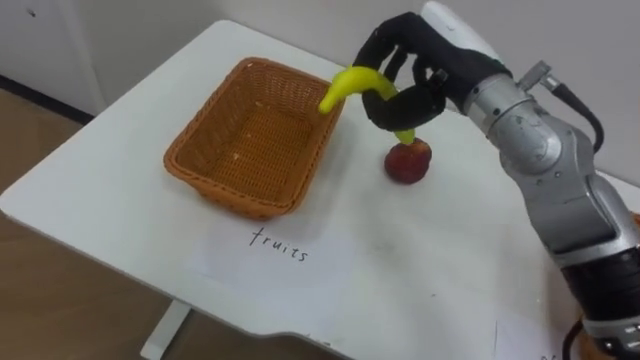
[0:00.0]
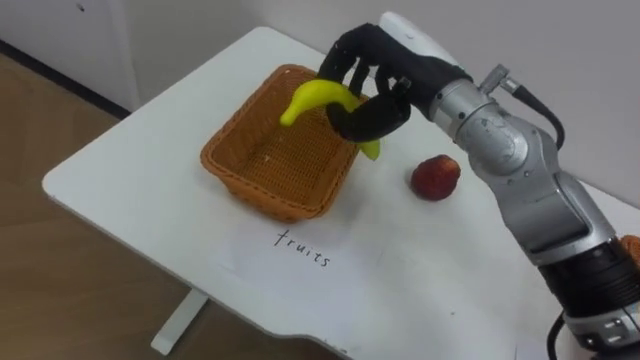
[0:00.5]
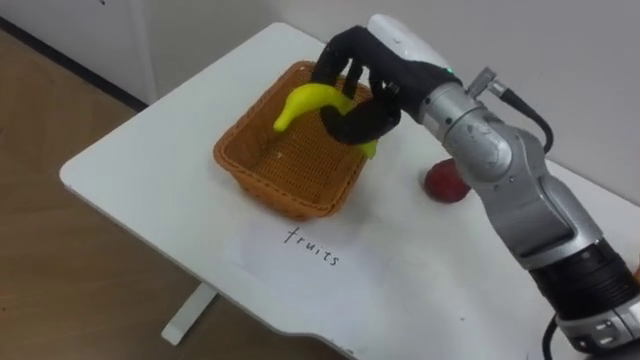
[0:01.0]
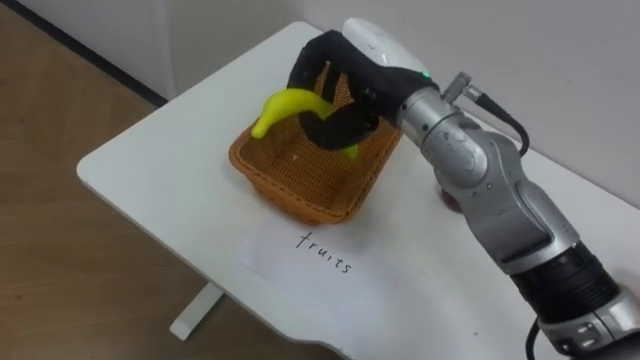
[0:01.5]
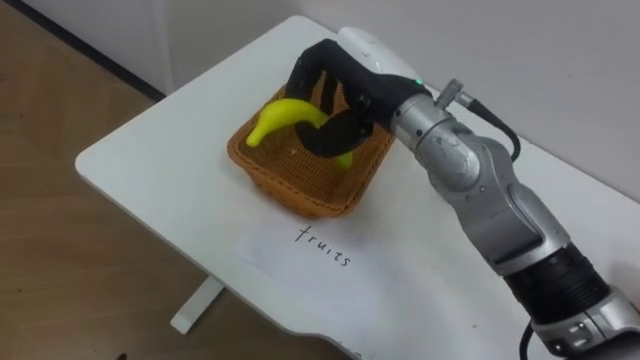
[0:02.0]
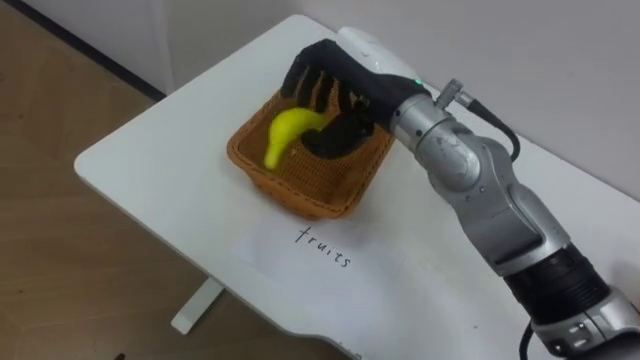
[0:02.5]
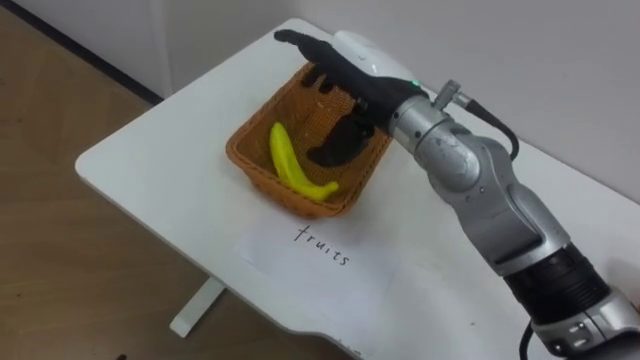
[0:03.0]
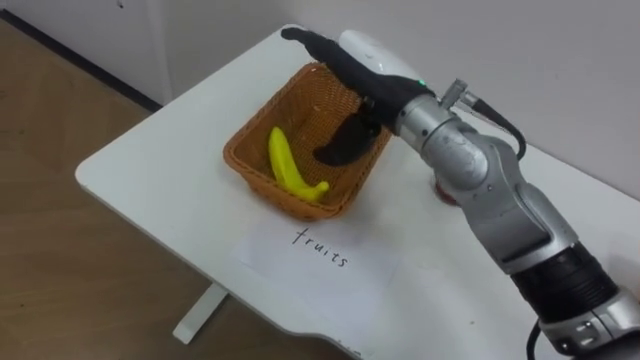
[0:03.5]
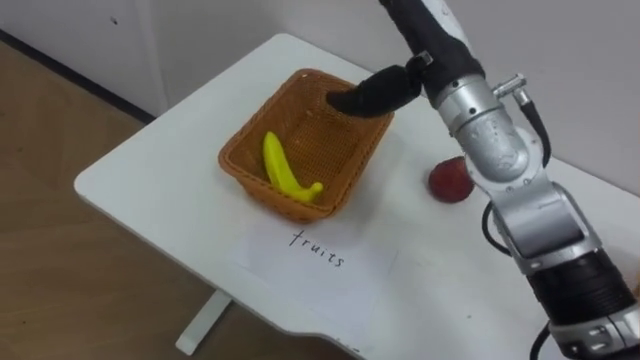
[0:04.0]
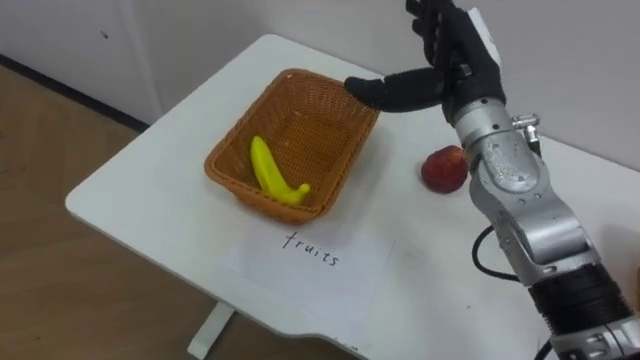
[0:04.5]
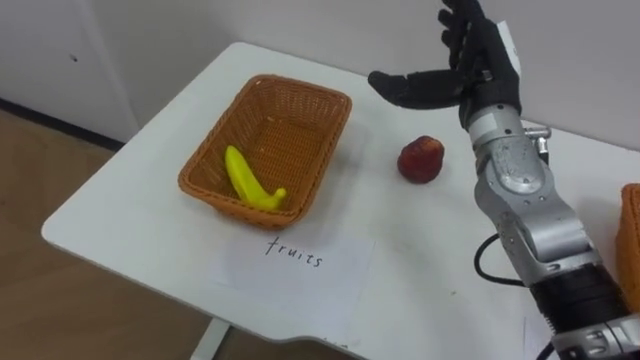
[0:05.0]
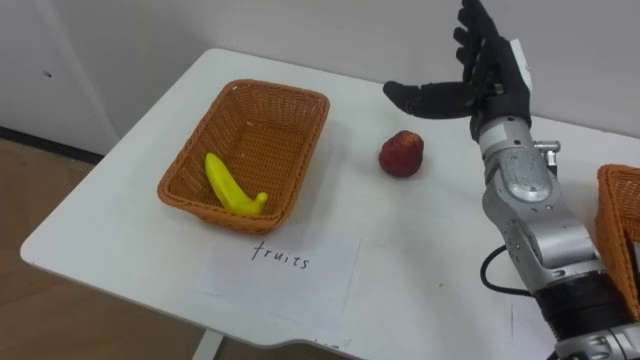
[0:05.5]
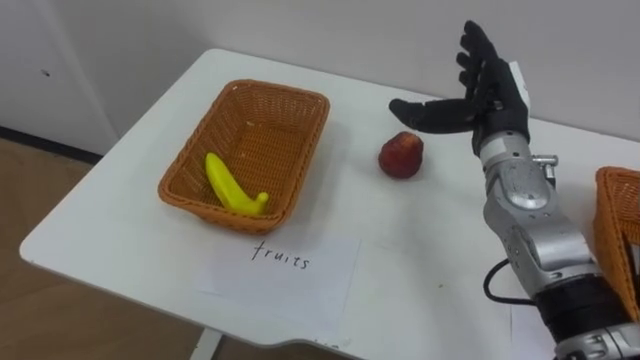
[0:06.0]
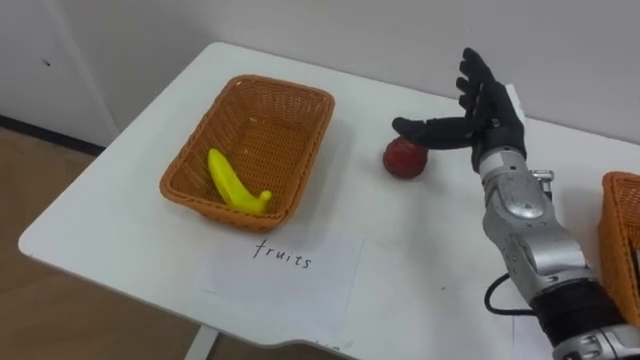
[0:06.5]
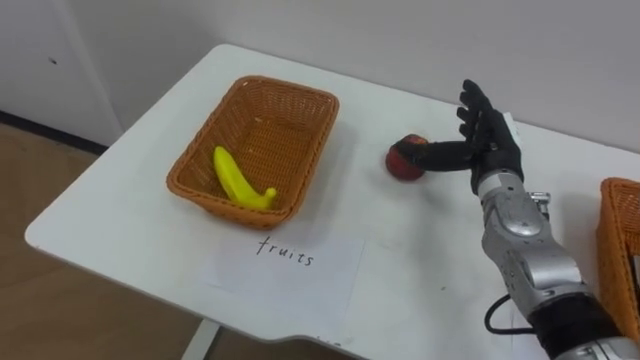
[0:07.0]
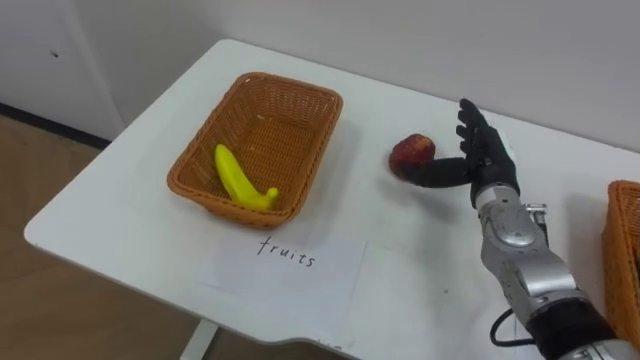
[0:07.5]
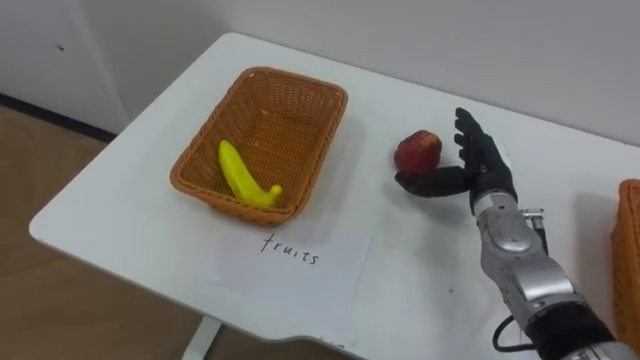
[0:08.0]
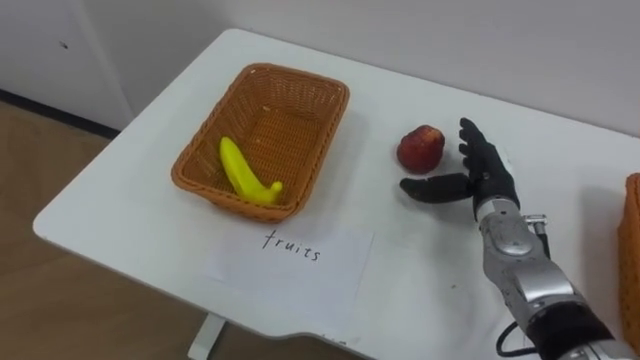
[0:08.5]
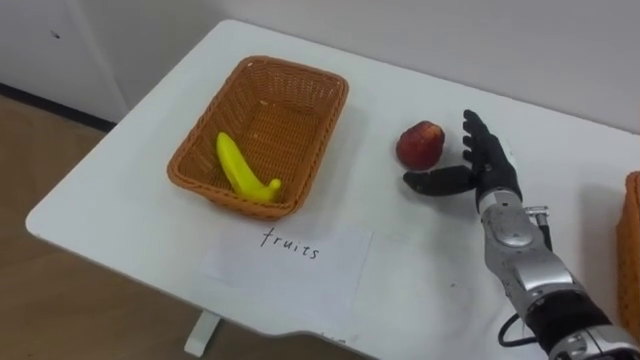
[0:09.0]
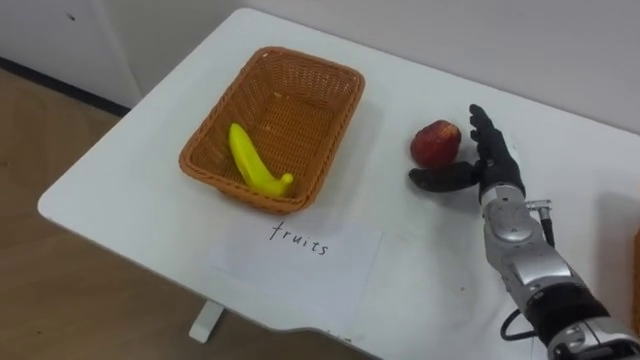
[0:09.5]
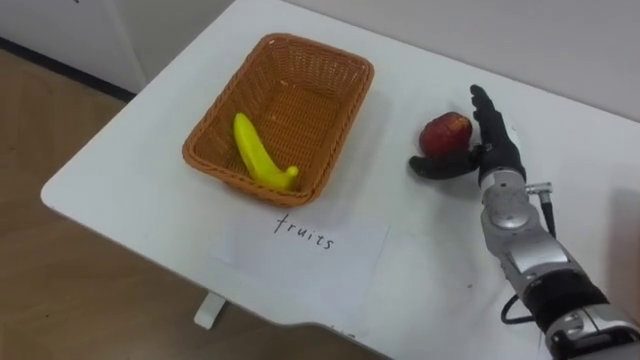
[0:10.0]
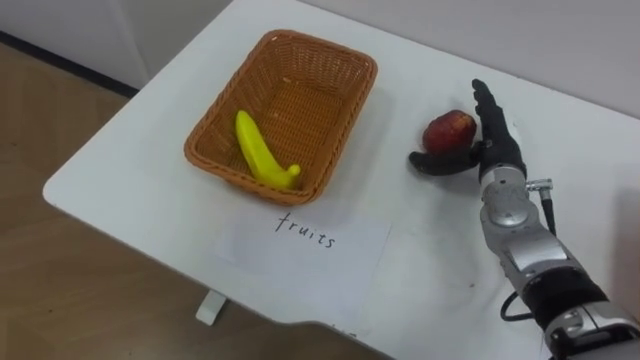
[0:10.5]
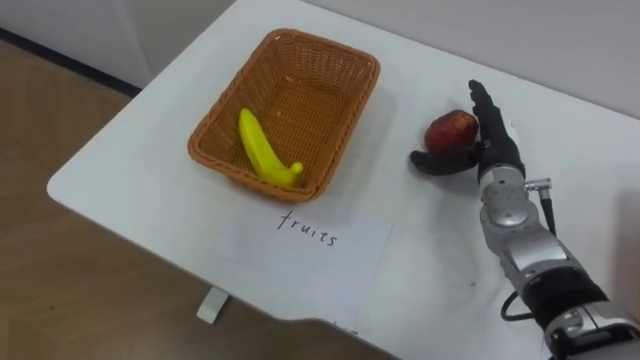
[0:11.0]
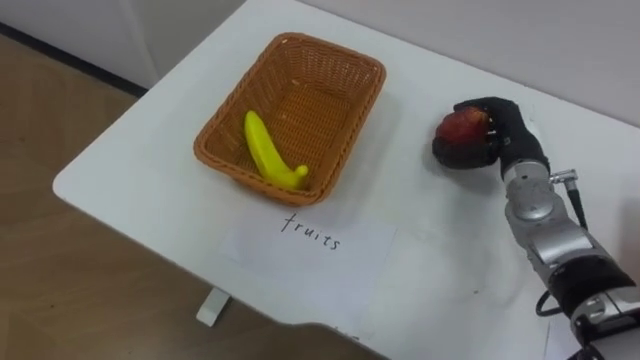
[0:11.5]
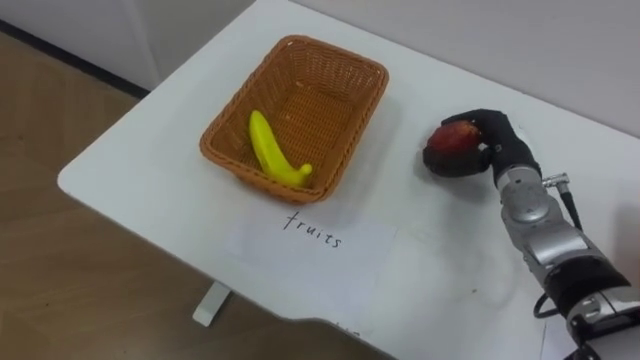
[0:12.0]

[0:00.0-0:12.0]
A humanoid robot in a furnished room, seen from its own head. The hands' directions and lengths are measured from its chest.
Task of the whole recording: Separate the items on the table and place them into the two baskets.
0:00.0 to 0:02.0: The right hand moves to the left, some 10 cm.
0:02.0 to 0:04.0: The right hand heads to the right, covering approximately 5 cm, and opens.
0:04.0 to 0:06.0: The right hand goes approximately 15 cm downward and to the right.
0:06.0 to 0:08.0: The right hand moves downward, roughly 10 cm.
0:10.0 to 0:12.0: The right hand closes up.

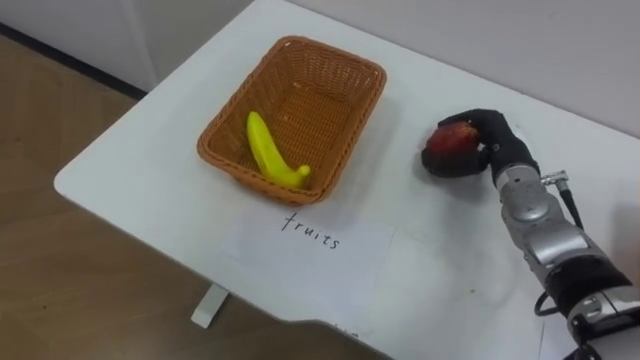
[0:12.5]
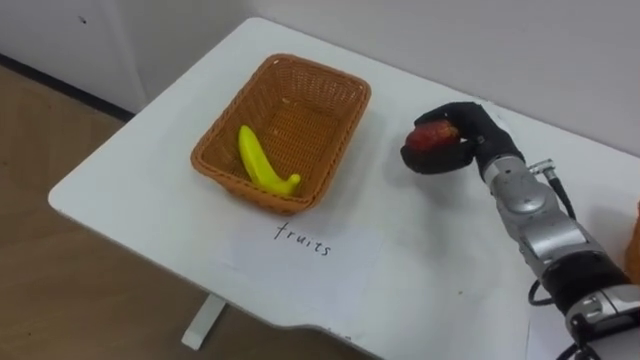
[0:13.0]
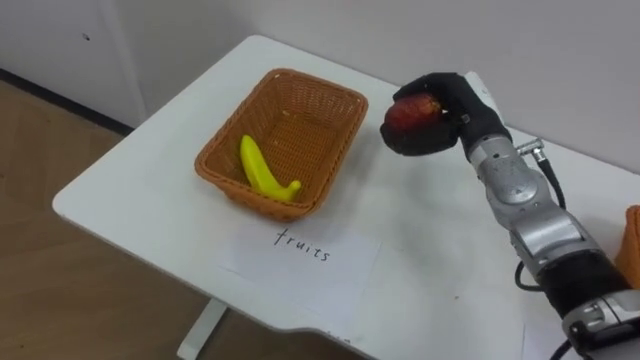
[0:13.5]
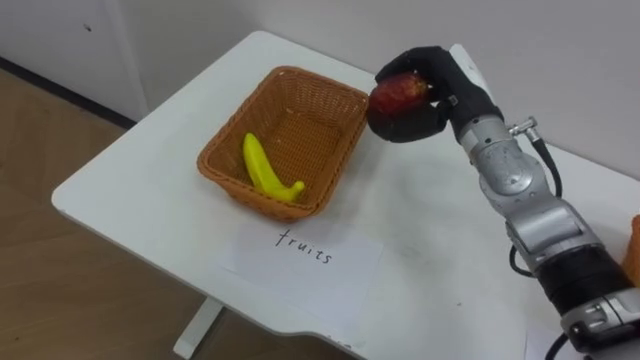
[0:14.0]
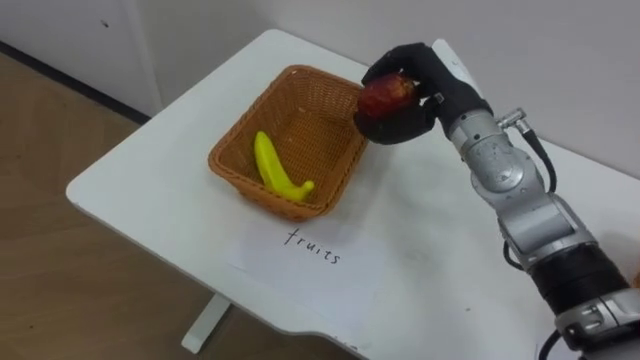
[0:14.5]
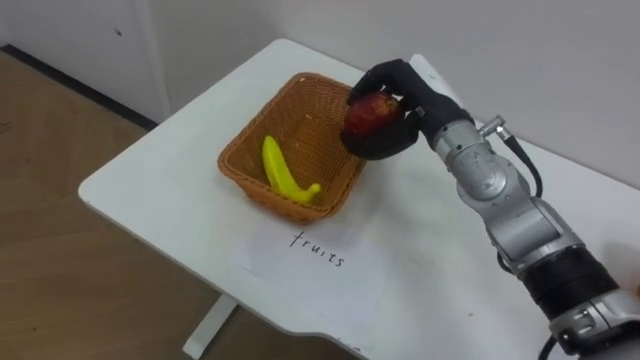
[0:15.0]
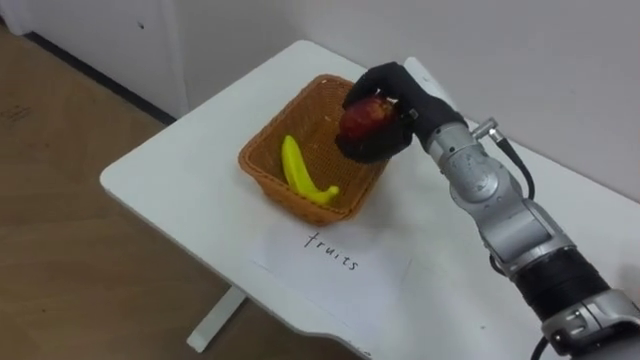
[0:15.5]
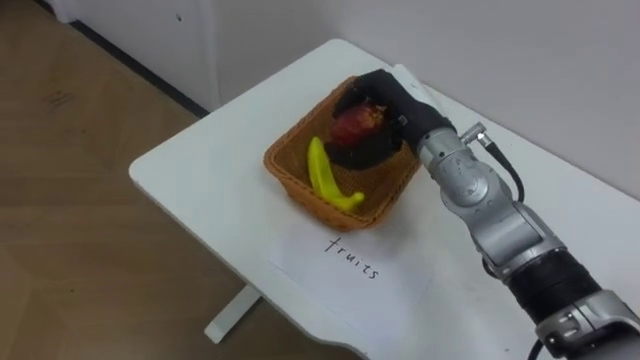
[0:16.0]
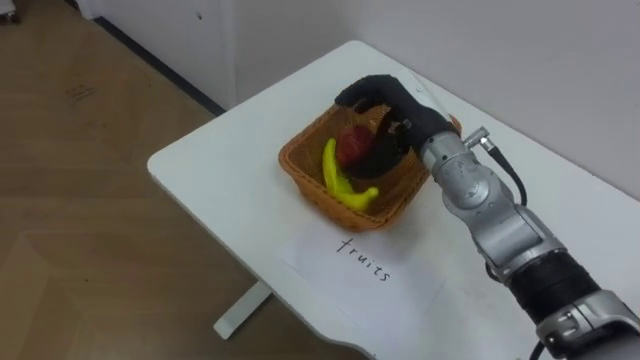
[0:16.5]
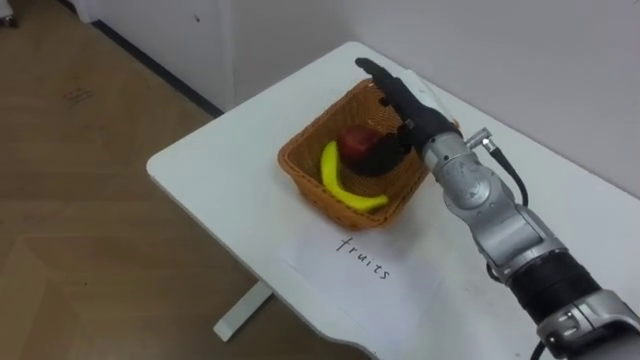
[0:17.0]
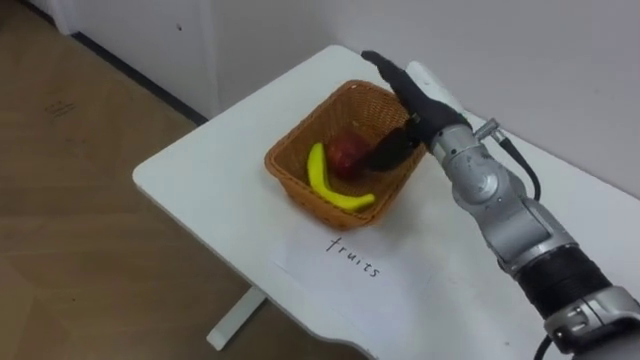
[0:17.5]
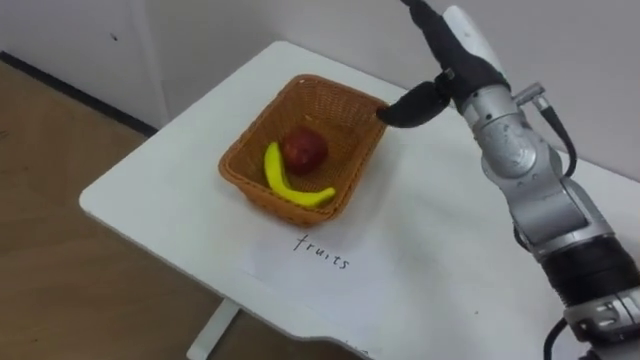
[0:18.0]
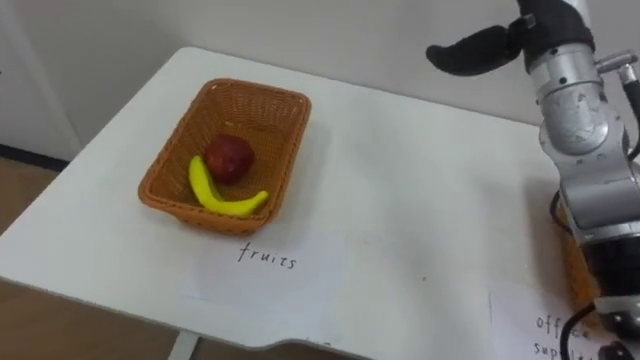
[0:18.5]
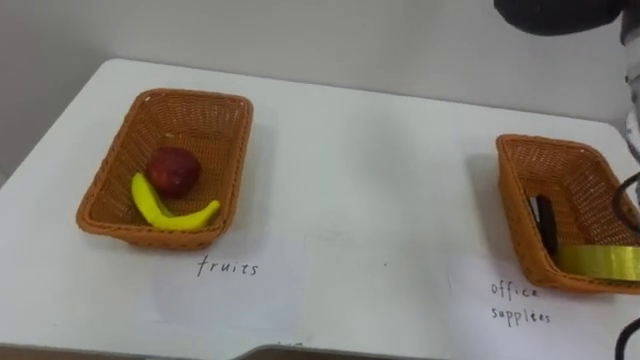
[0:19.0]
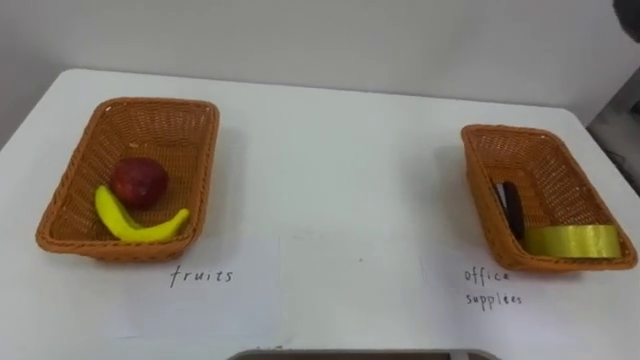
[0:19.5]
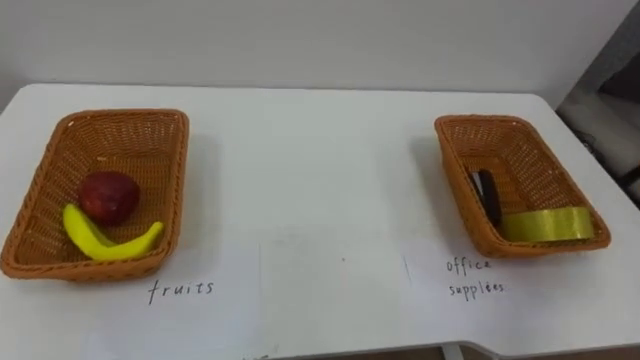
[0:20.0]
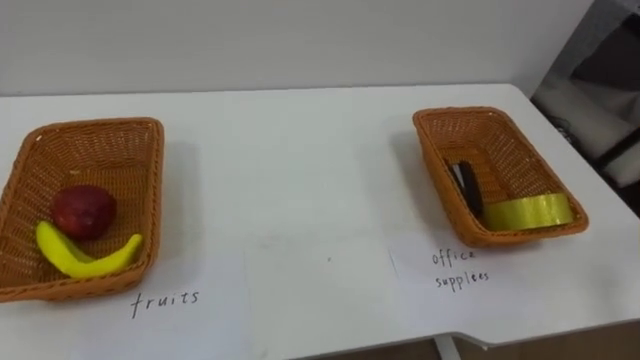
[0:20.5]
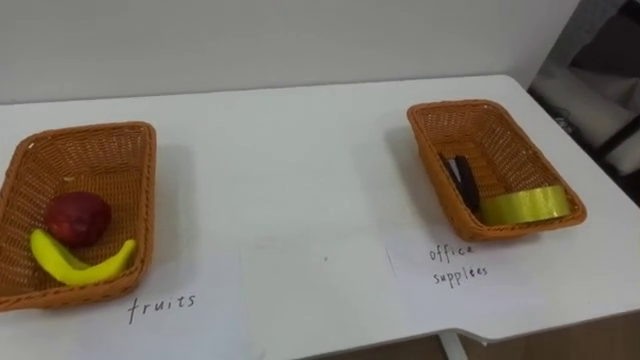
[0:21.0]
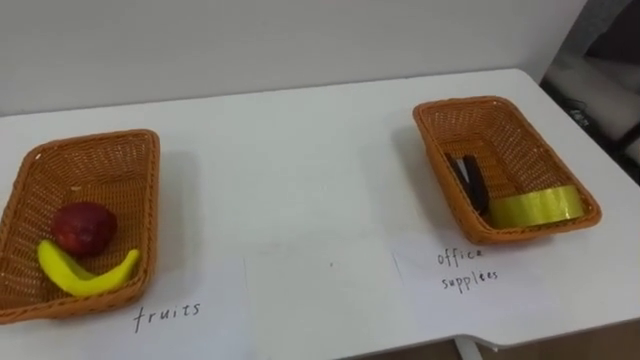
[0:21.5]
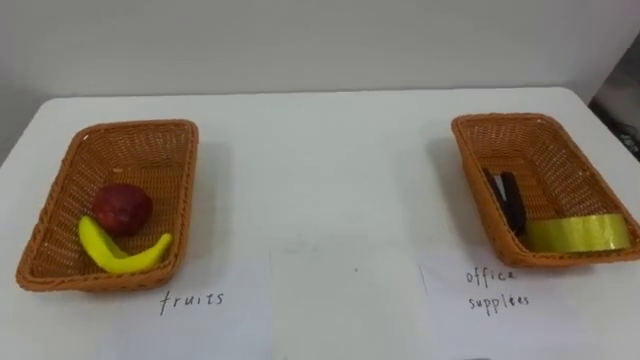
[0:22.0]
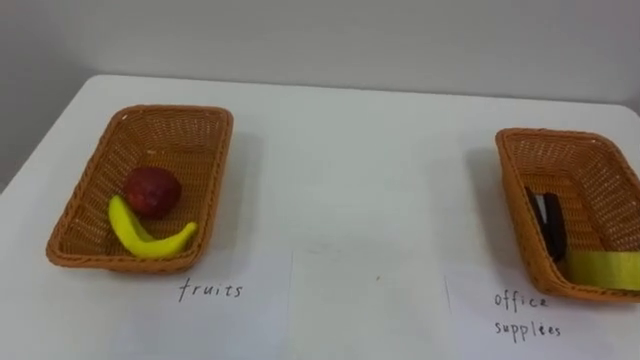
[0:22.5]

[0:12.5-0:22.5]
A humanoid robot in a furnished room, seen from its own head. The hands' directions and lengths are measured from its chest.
Task of the whole recording: Separate the items on the table and place them into the two baskets.
0:12.5 to 0:14.5: The right hand moves upward and to the left, roughly 15 cm.
0:16.5 to 0:18.5: The right hand travels upward and to the right by about 15 cm, and opens its fingers.
